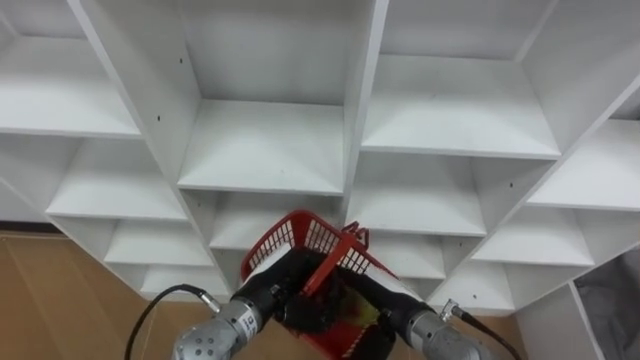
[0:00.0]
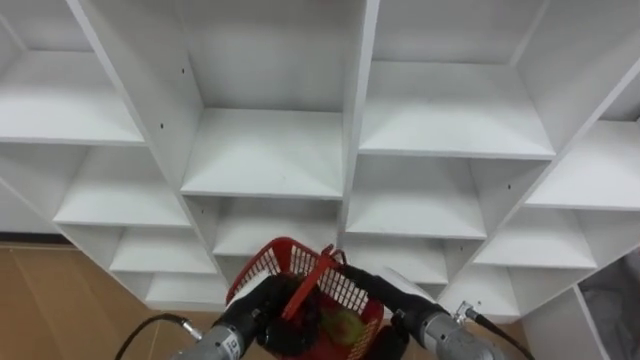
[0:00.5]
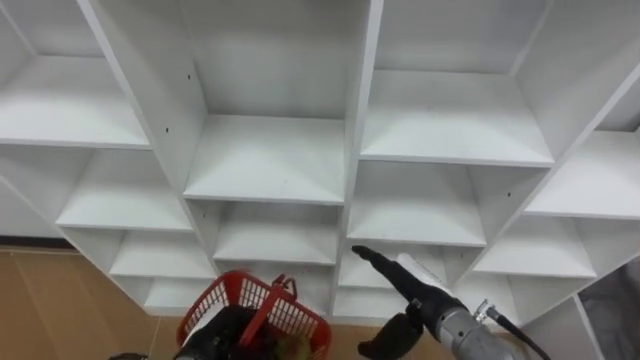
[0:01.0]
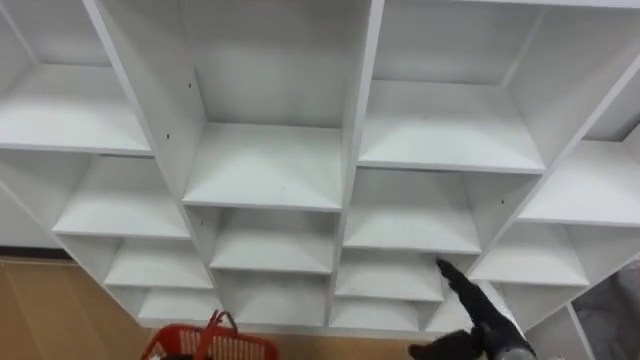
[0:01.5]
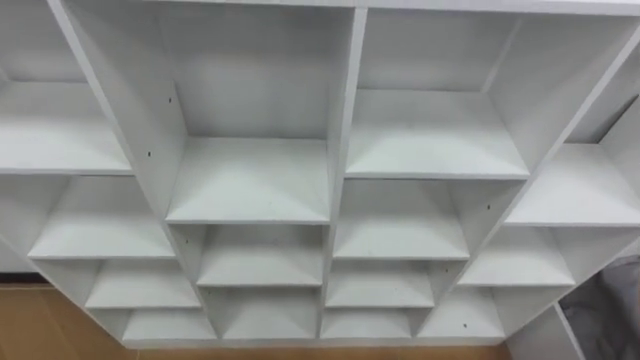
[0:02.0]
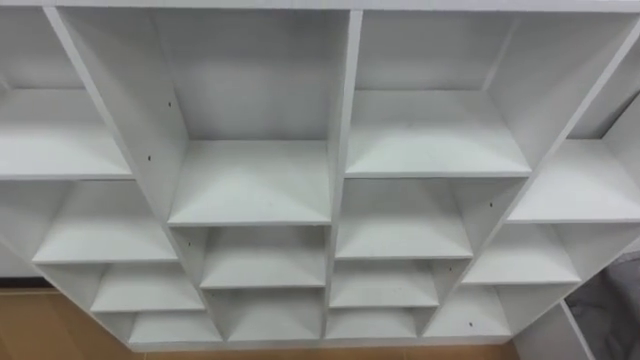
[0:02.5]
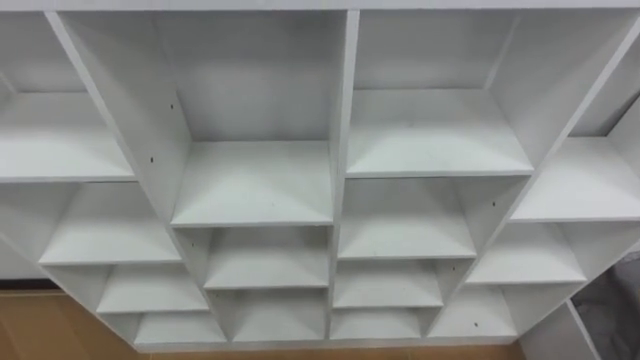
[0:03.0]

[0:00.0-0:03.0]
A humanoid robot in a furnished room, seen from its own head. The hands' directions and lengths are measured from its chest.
Task of the whole recording: Hold the basket and collect the fruits from 3 different cells of the closet into it.
0:00.0 to 0:01.5: The right hand travels to the right by about 10 cm.

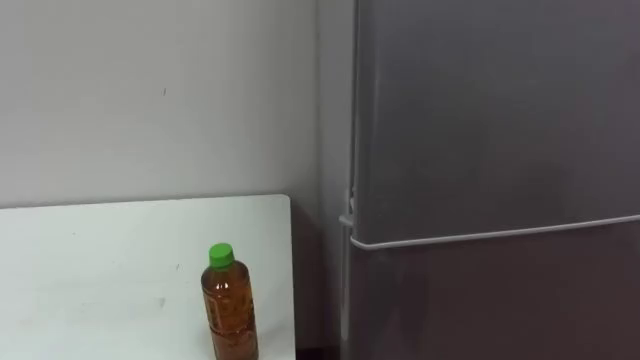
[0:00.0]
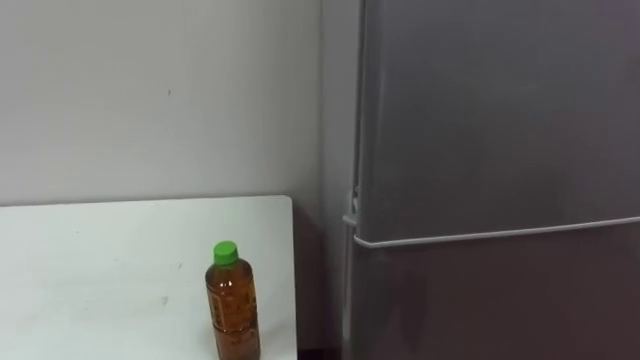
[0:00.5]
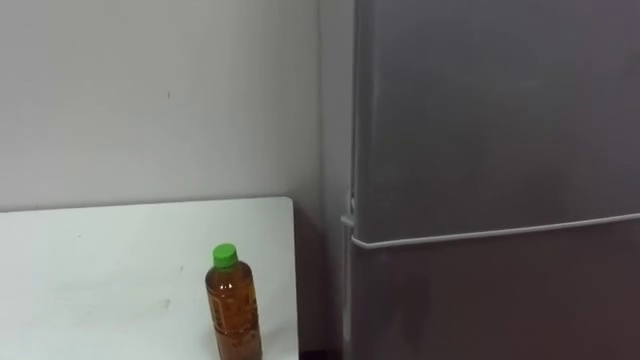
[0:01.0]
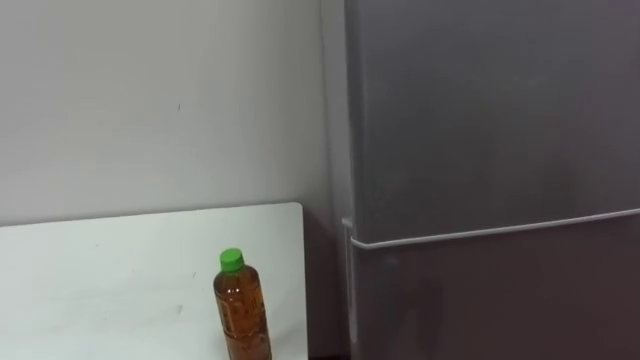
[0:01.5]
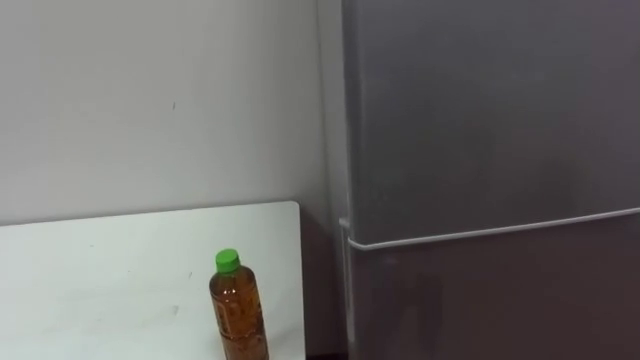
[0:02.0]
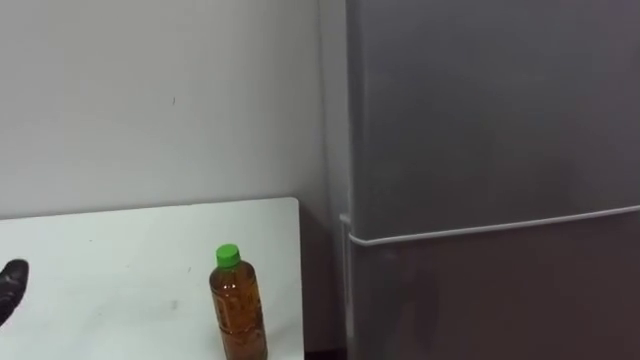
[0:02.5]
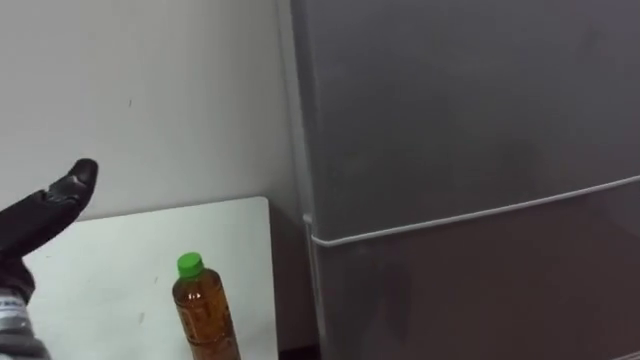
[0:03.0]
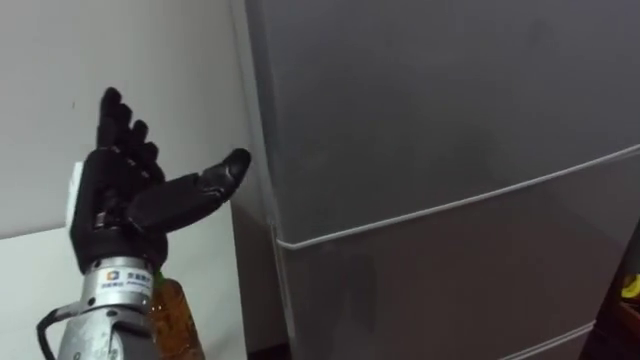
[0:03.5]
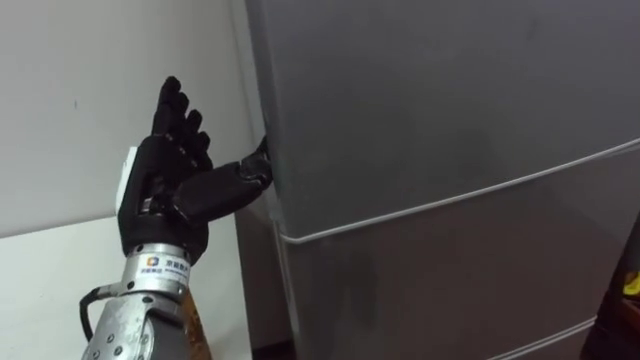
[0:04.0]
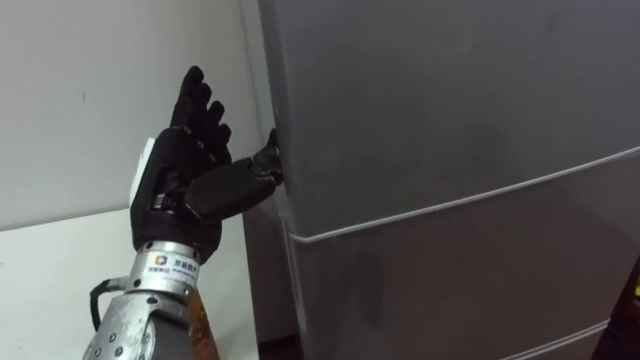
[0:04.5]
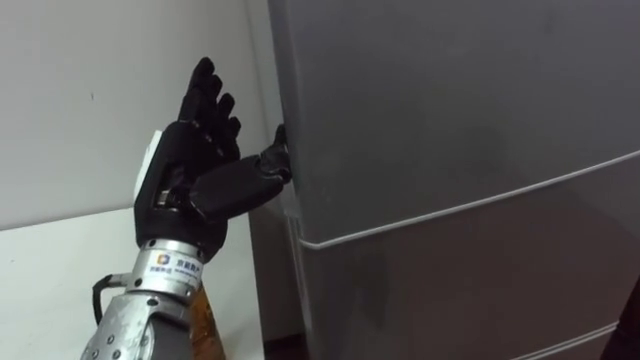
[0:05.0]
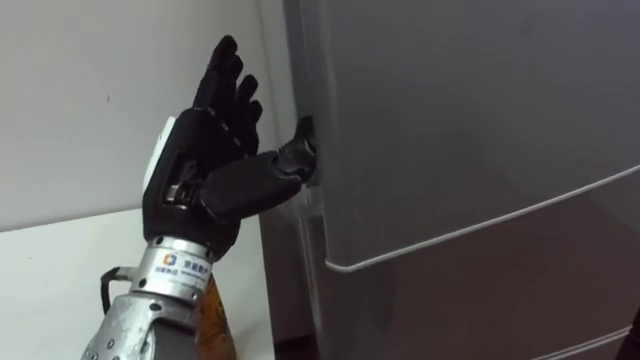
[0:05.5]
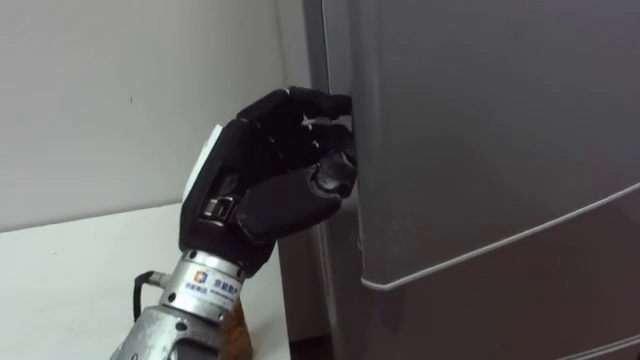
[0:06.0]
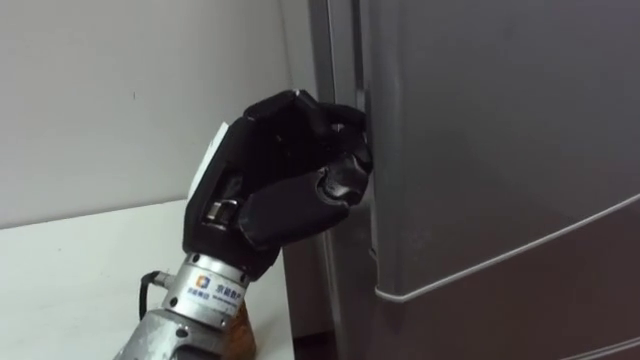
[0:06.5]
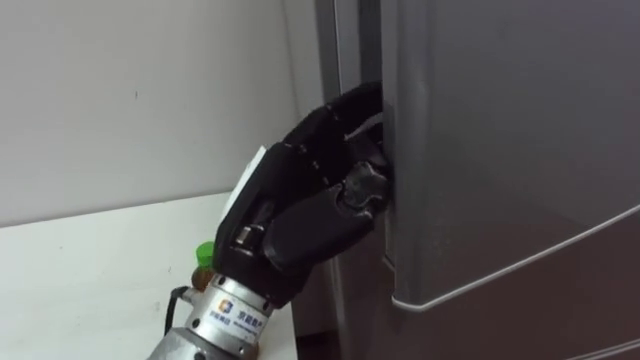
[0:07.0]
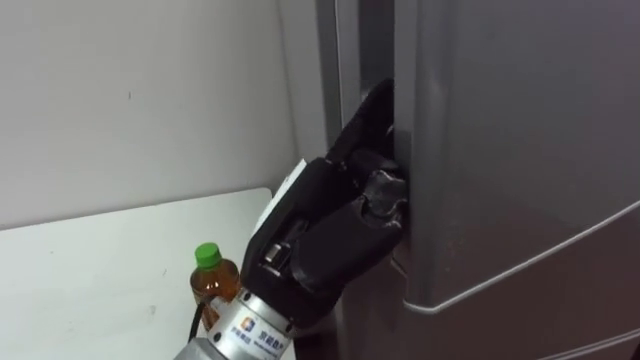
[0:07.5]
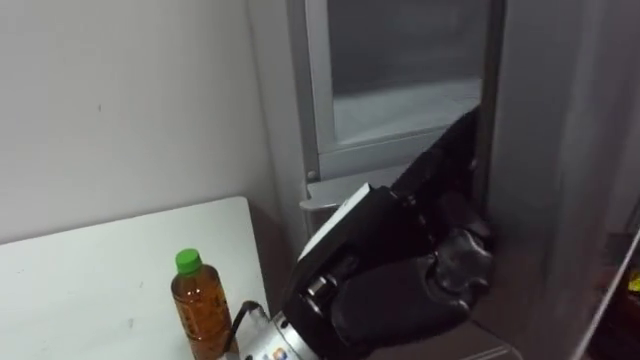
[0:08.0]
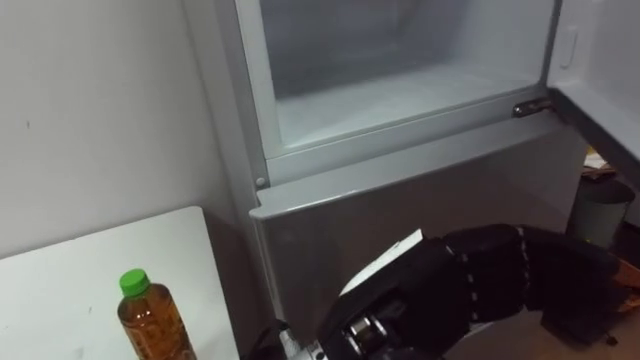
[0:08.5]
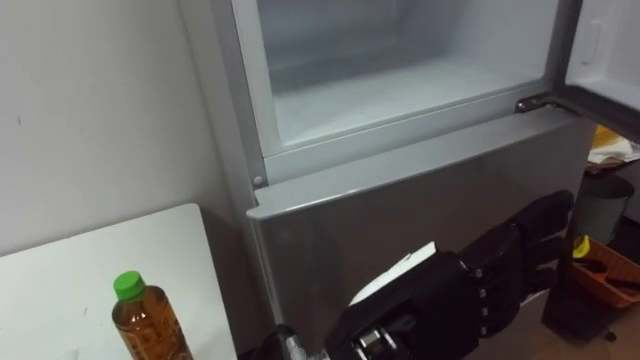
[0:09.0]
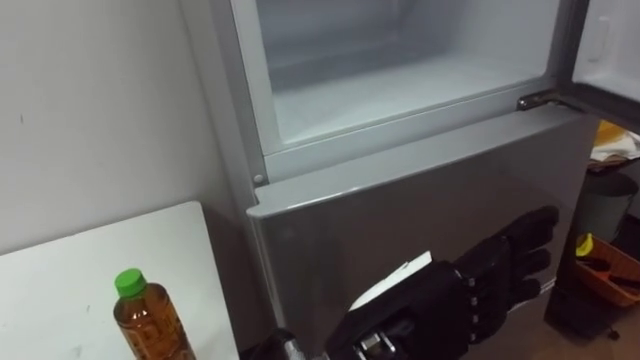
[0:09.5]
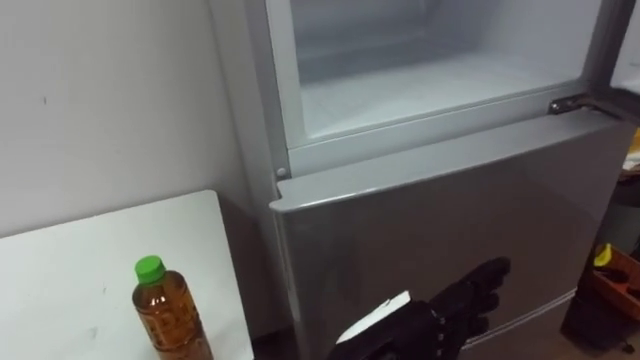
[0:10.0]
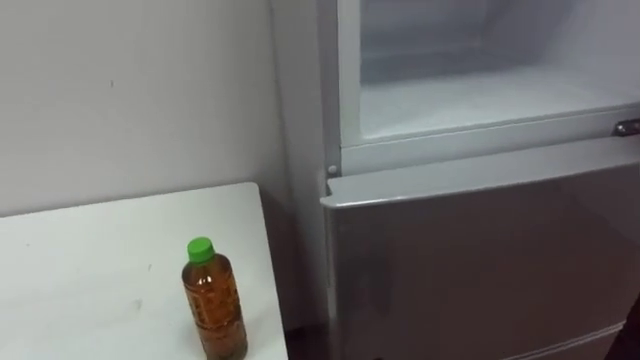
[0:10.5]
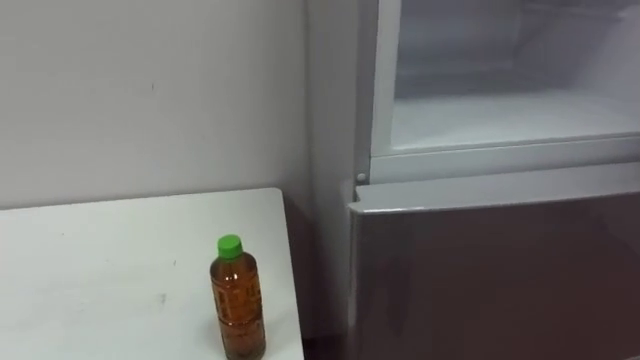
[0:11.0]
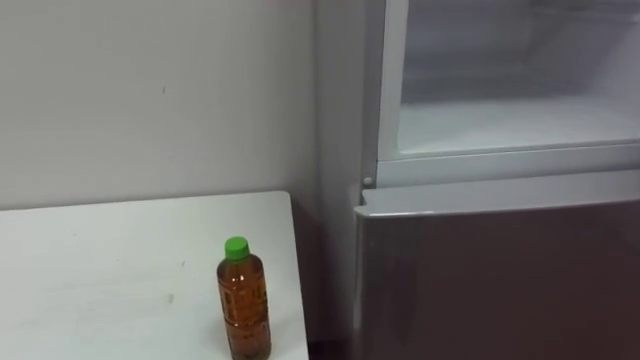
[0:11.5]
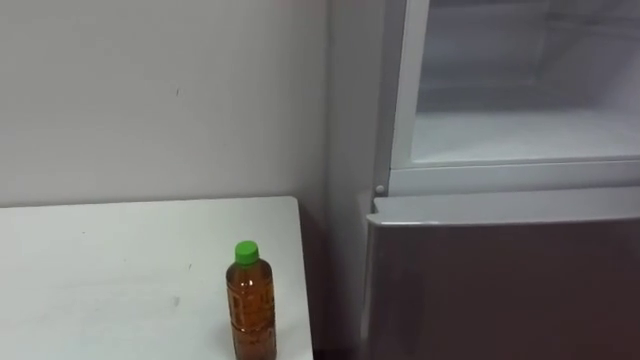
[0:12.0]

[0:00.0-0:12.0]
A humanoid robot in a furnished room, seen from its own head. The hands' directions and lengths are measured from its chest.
Task of the whole recording: Open the upper refrigerator door, put the drink from the table into the refrigerator, and then close the refrigerator door.
0:04.0 to 0:06.0: The left hand travels to the right by roughly 5 cm, and closes.
0:06.0 to 0:08.0: The left hand moves to the right and backward, some 10 cm, and opens its fingers.
0:08.0 to 0:10.0: The left hand moves downward, approximately 10 cm.

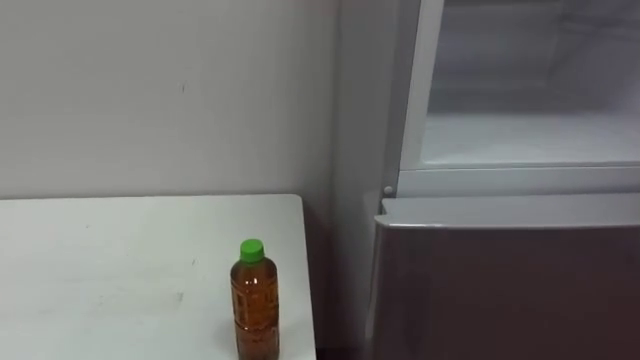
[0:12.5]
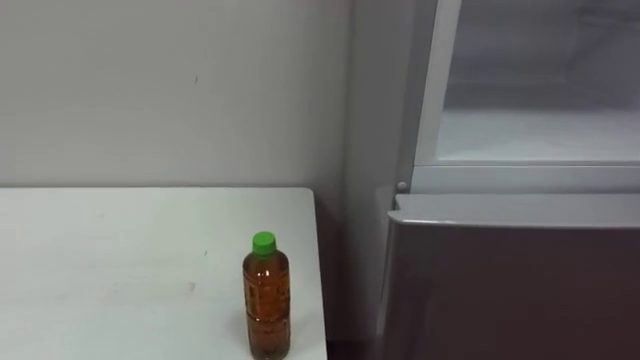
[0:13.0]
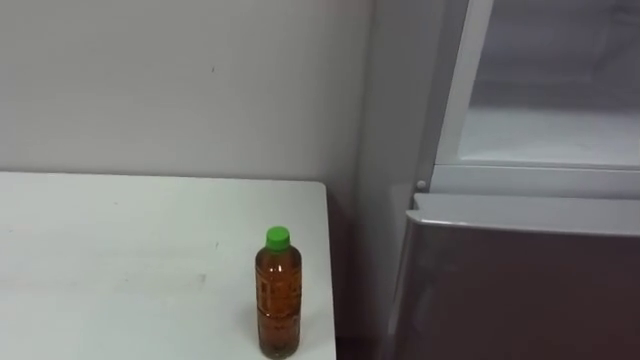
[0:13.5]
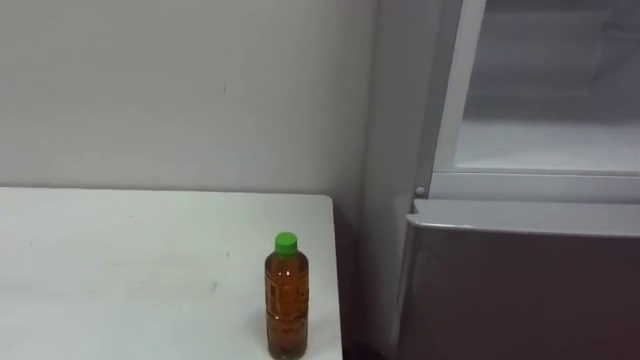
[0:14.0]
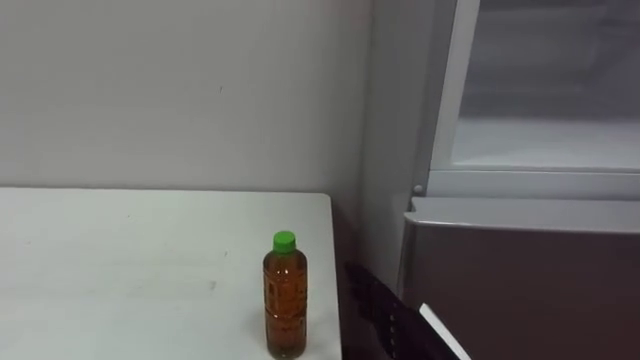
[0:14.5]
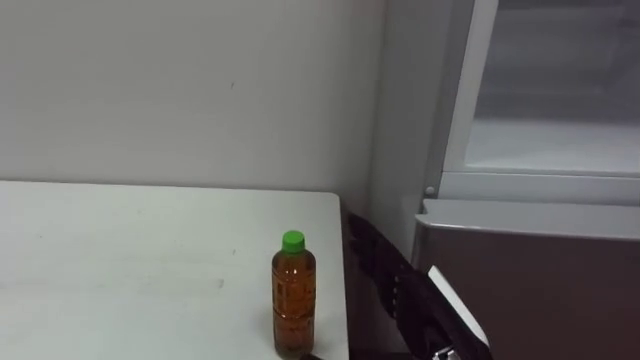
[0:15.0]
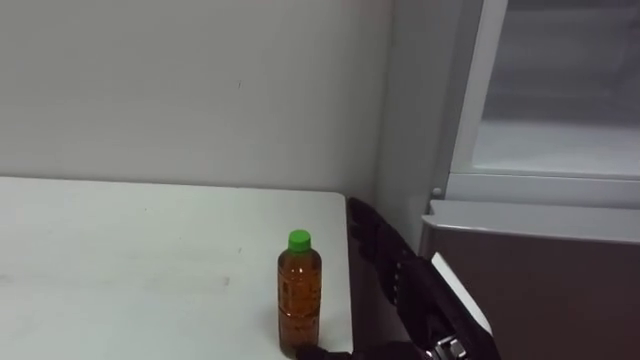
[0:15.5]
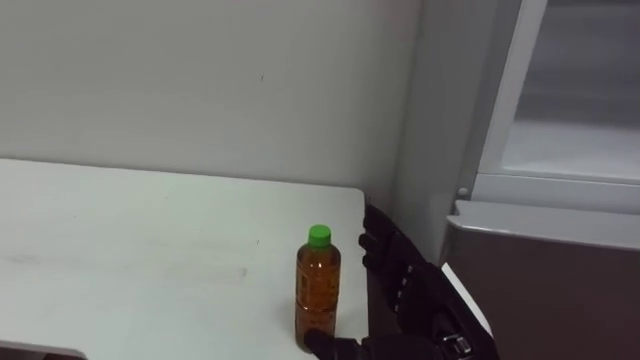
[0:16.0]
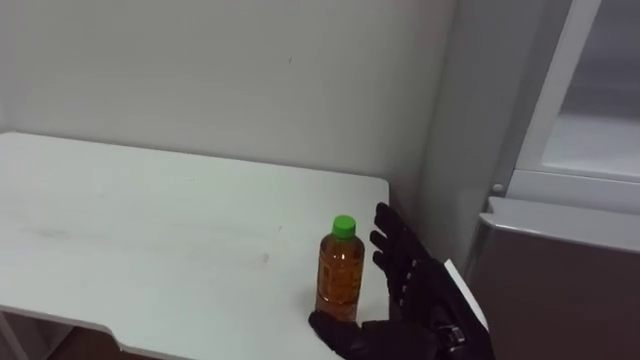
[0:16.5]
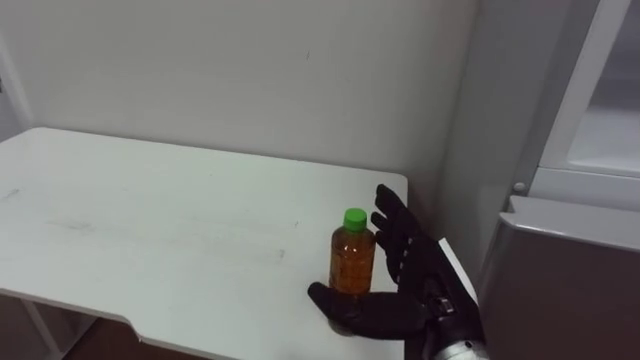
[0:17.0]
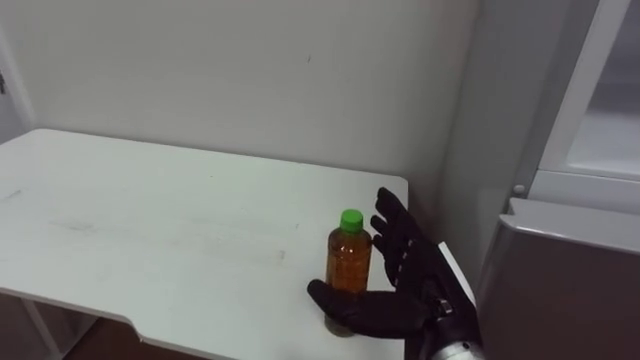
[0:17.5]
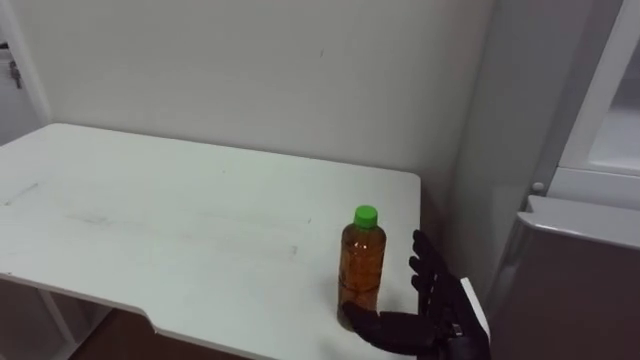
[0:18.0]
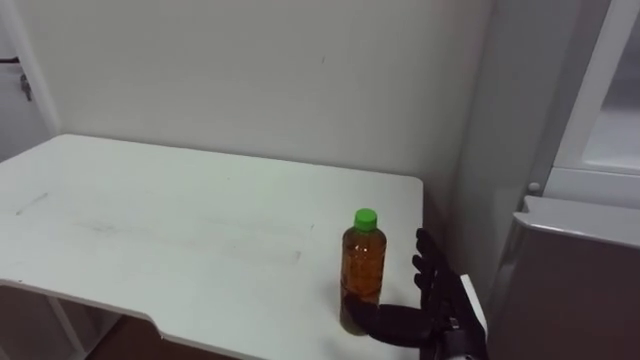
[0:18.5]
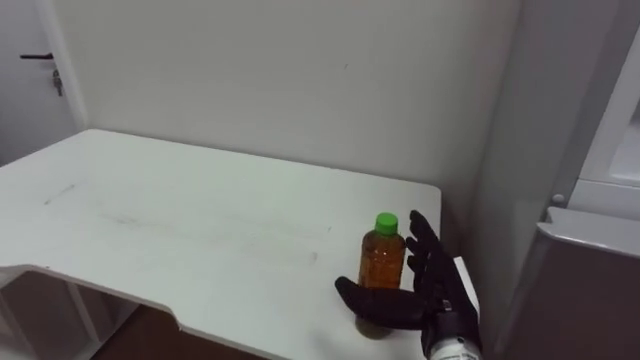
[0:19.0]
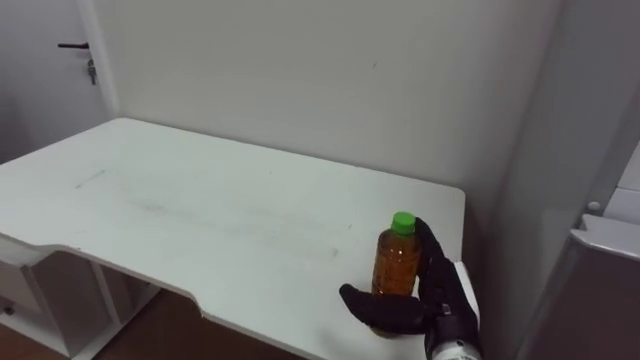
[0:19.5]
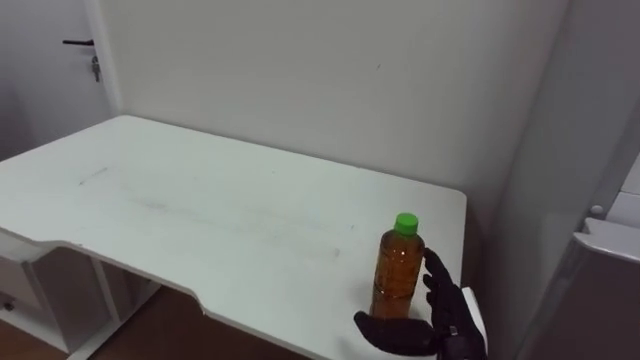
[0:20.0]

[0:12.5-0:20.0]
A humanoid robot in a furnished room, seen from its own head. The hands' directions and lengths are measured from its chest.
Task of the whole recording: Open the upper refrigerator door, put the drink from the table into the refrigerator, and then close the refrigerator door.
0:16.5 to 0:18.0: The right hand travels downward by roughly 5 cm.
